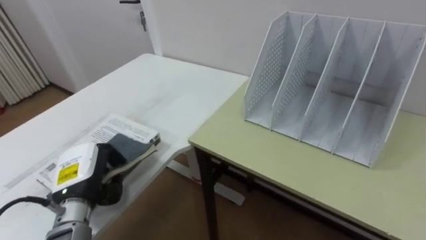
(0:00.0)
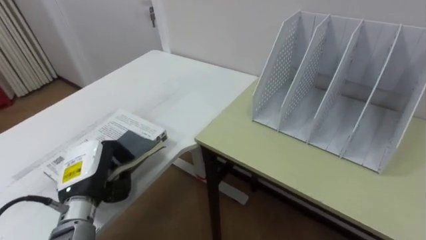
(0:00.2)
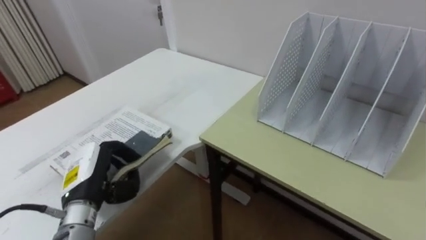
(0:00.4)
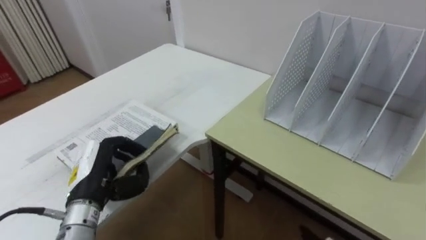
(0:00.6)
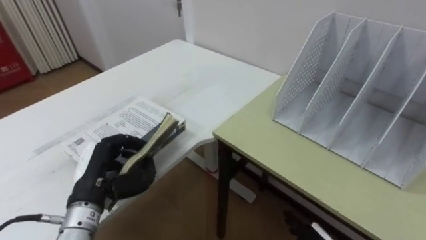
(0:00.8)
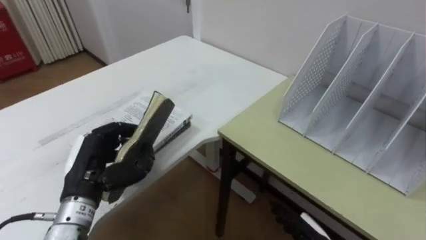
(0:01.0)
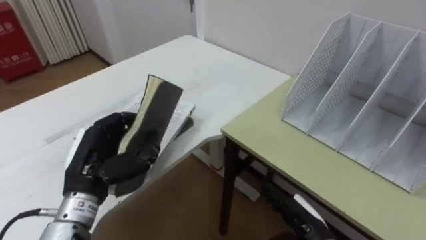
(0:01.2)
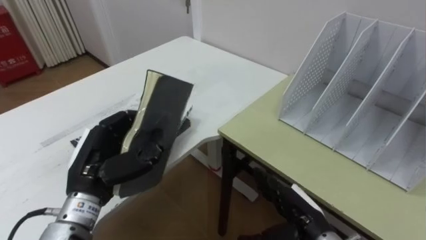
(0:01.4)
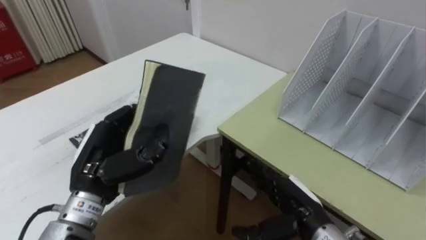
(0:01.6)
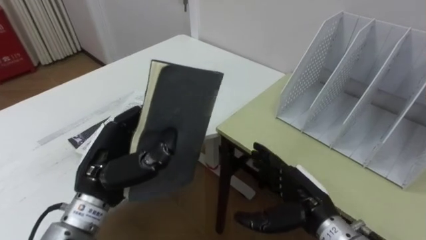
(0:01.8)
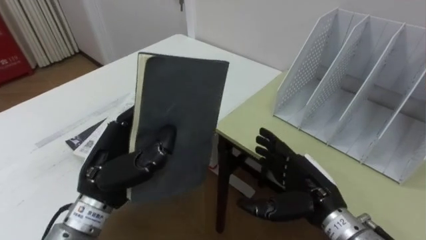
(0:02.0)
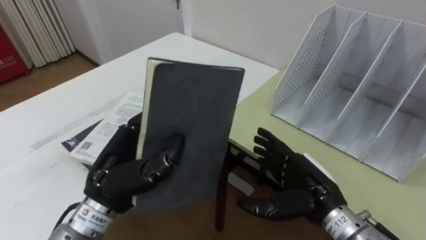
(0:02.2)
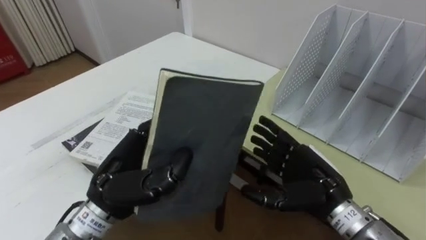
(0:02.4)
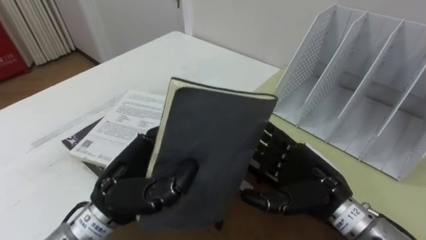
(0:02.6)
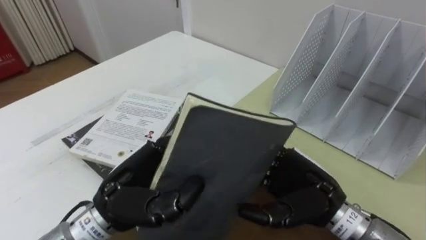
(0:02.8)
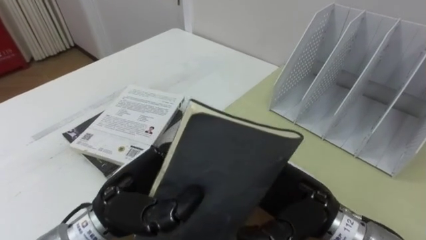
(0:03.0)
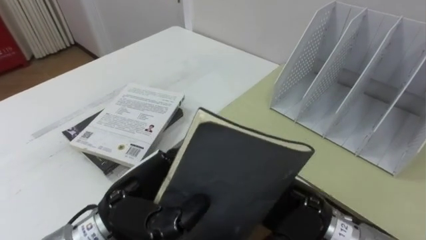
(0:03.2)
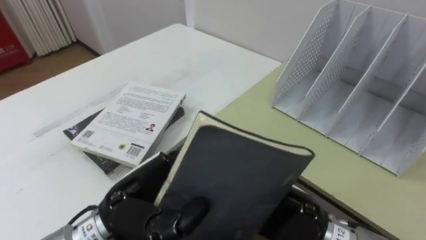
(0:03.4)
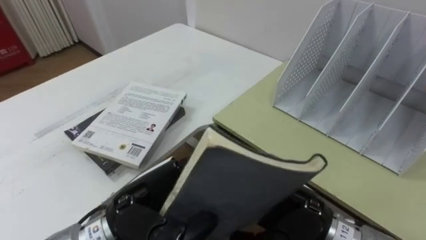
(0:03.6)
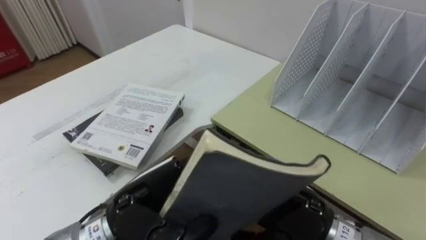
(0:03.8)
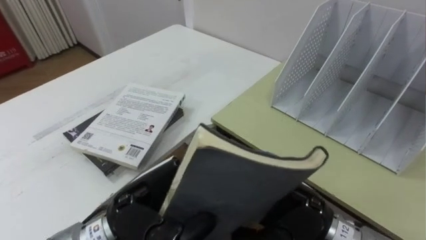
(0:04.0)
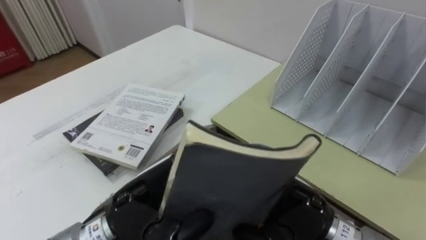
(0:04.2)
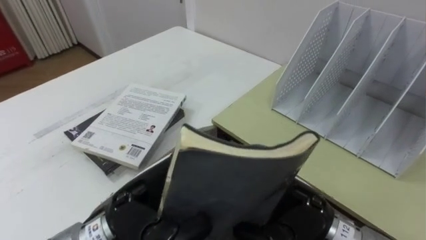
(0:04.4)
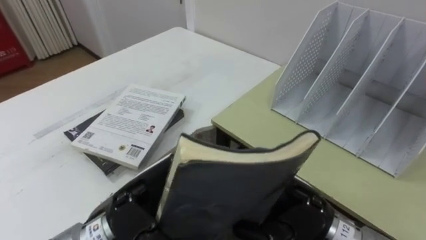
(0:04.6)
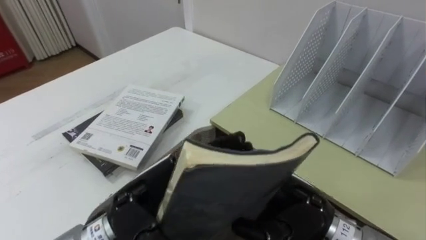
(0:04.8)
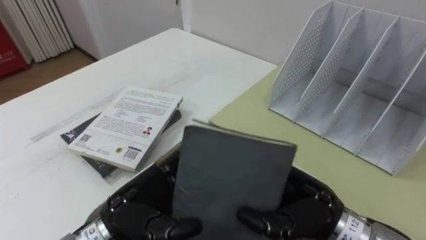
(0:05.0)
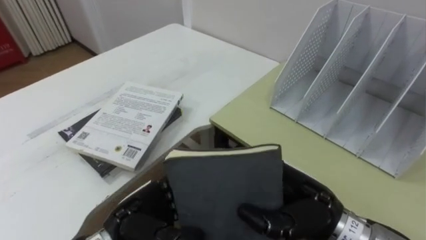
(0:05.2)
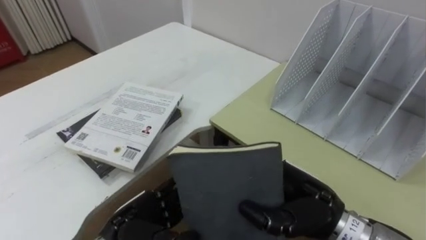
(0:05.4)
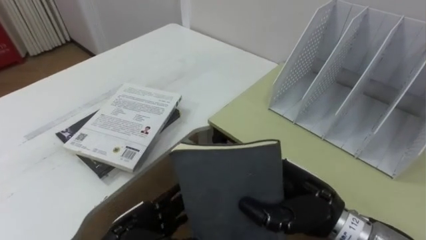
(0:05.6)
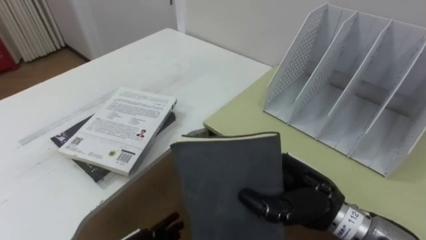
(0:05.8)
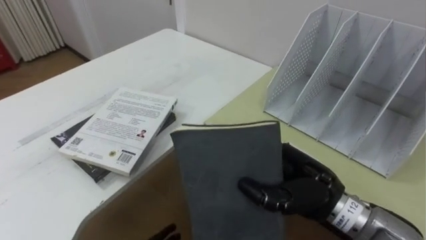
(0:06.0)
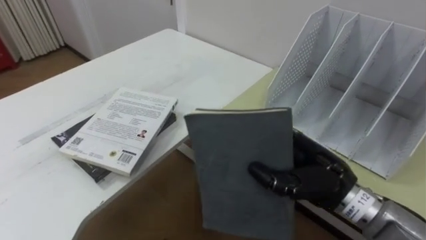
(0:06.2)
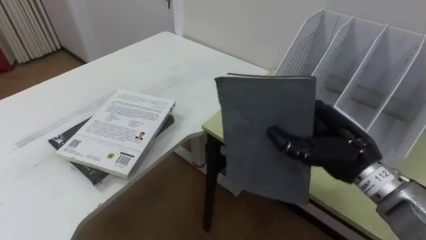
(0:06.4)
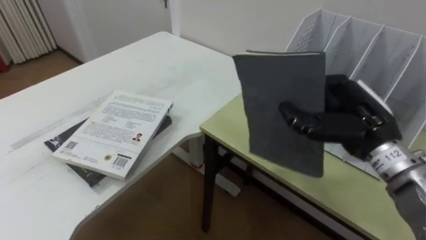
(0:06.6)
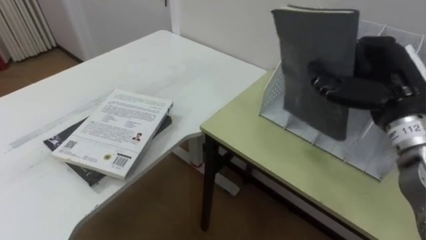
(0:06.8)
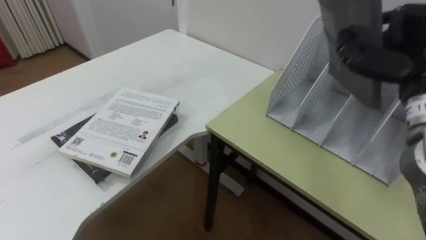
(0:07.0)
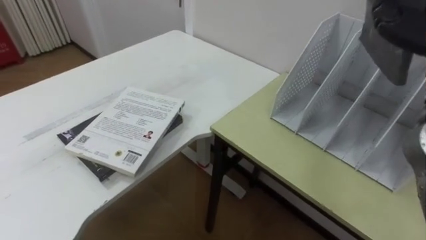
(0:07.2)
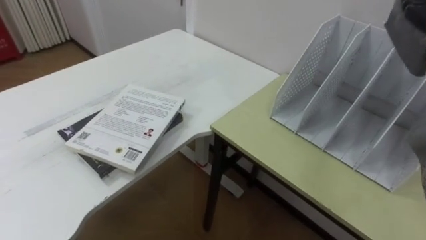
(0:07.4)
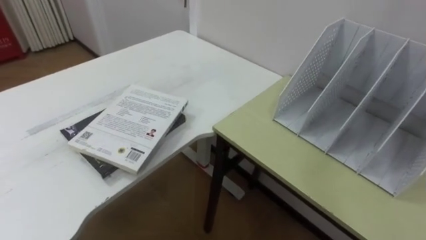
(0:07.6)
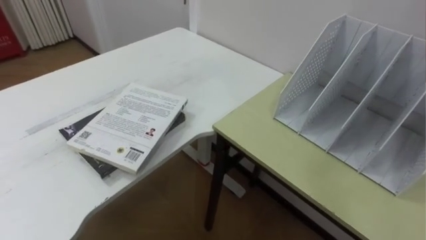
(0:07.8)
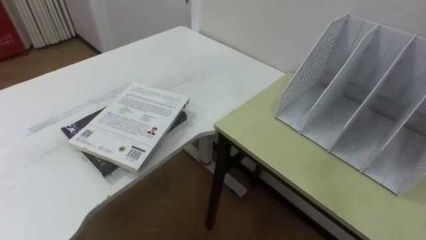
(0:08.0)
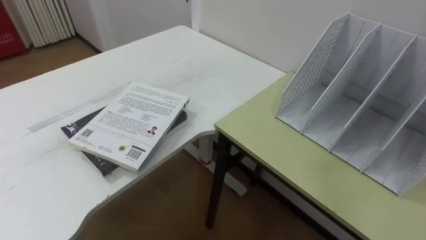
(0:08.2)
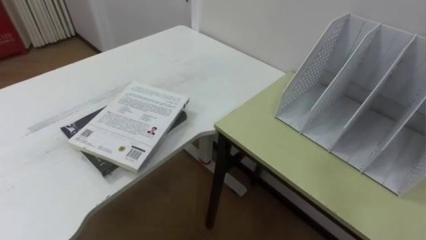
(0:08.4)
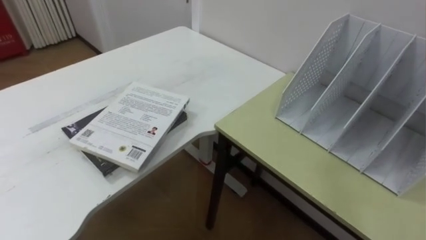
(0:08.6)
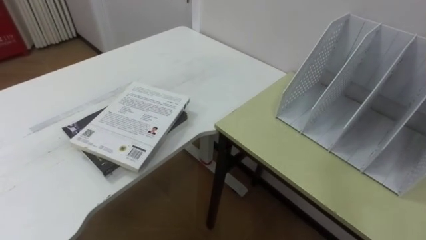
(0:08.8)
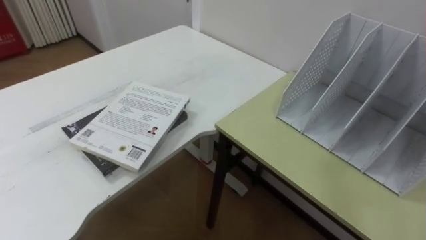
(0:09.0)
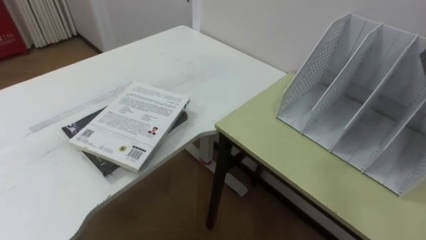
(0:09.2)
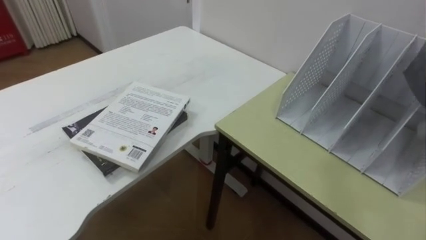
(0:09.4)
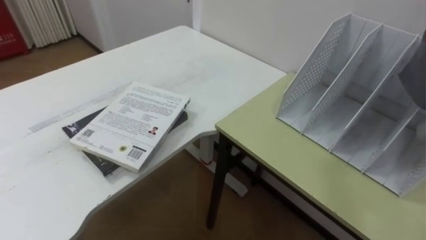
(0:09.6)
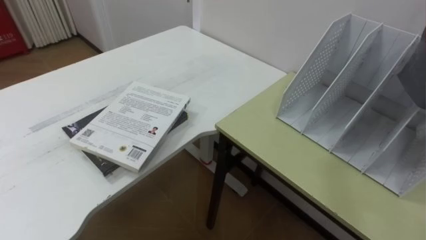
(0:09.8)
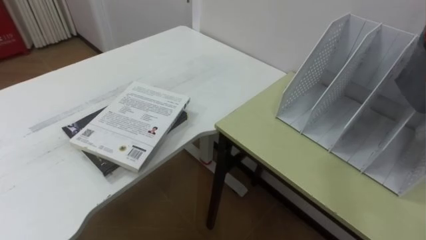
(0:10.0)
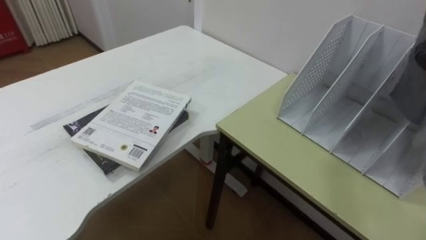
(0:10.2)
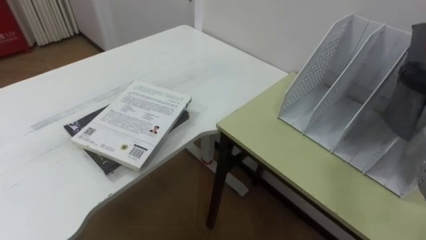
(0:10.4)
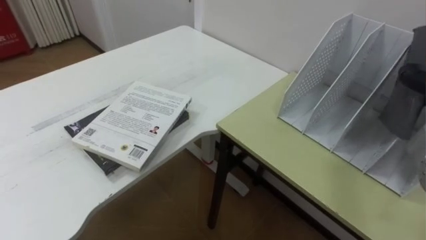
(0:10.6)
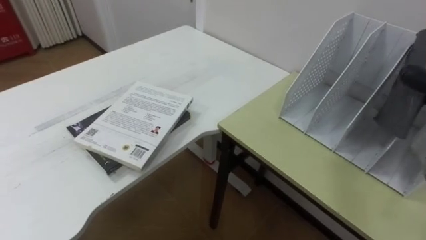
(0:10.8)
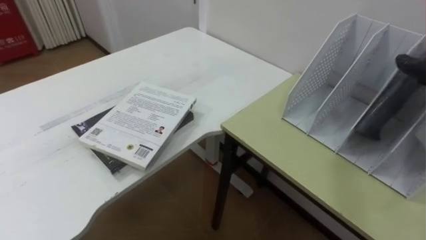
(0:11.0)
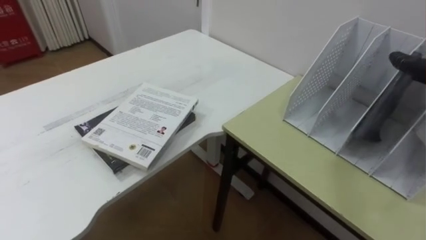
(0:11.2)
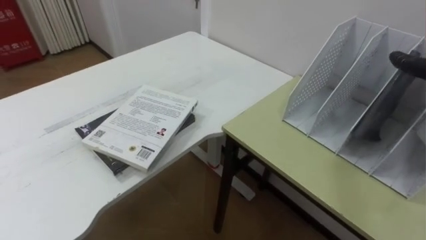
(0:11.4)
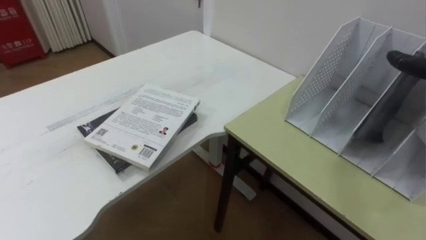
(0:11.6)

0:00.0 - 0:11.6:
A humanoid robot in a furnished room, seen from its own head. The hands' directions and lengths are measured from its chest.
Task of the whole recording: Put the books on the table onto the bookshelf.
0:00.0 - 0:01.4: The left hand shifts about 5 cm upward.
0:01.4 - 0:02.8: The left hand travels to the right by approximately 10 cm. Meanwhile the right hand heads upward, covering about 10 cm.
0:02.8 - 0:04.4: The right hand closes its fingers.

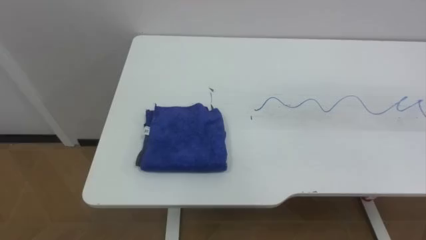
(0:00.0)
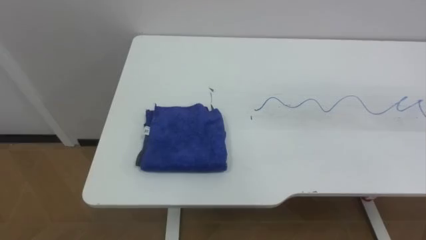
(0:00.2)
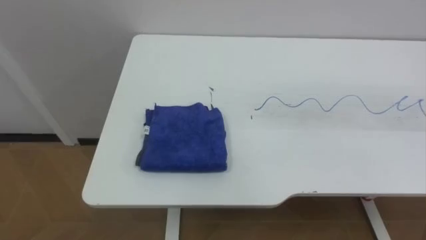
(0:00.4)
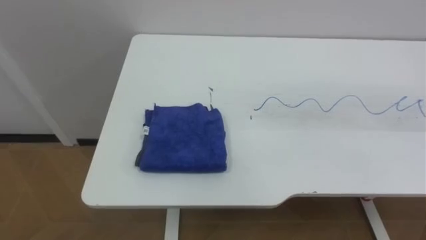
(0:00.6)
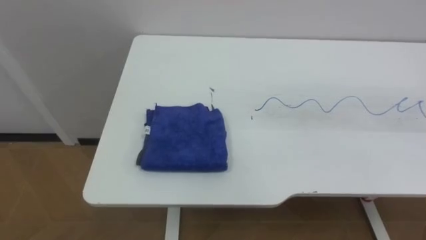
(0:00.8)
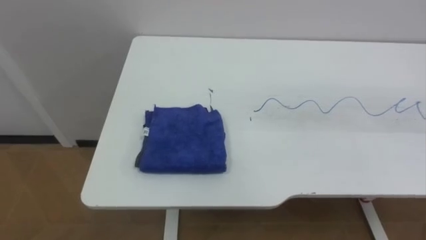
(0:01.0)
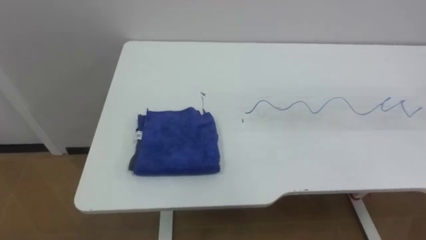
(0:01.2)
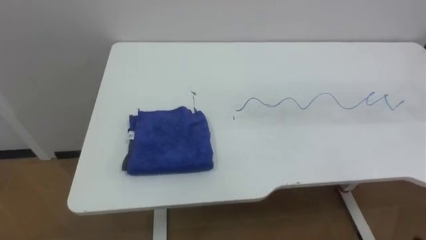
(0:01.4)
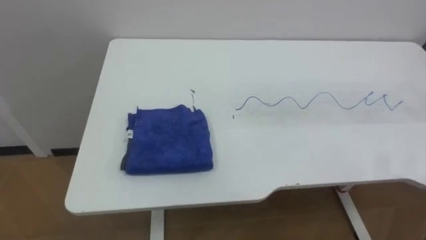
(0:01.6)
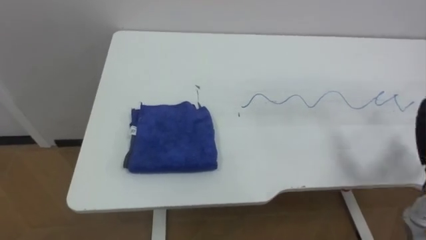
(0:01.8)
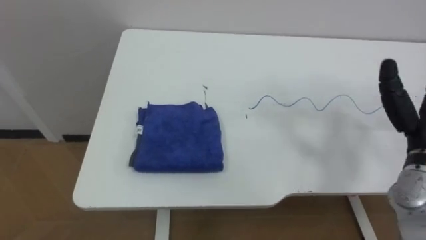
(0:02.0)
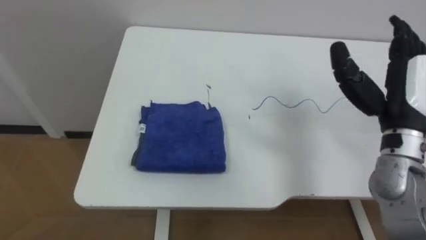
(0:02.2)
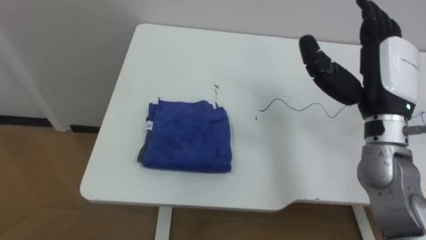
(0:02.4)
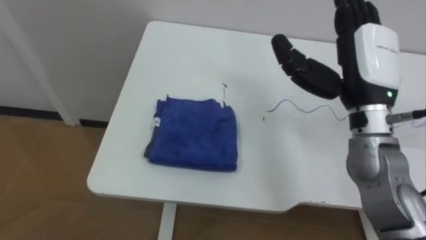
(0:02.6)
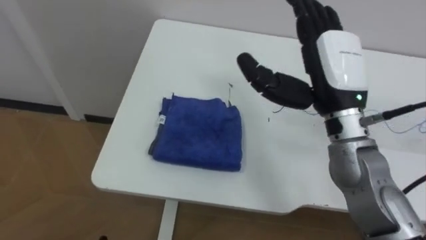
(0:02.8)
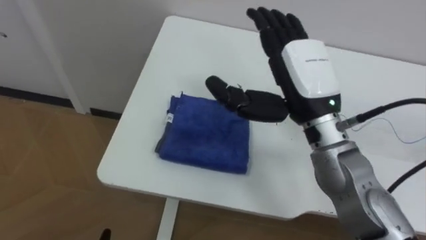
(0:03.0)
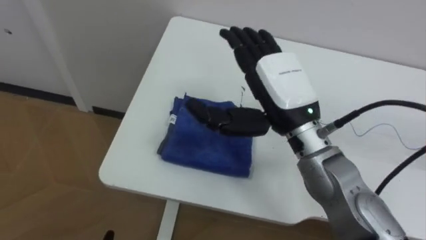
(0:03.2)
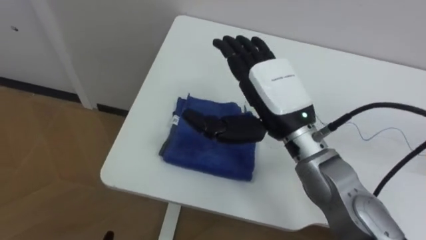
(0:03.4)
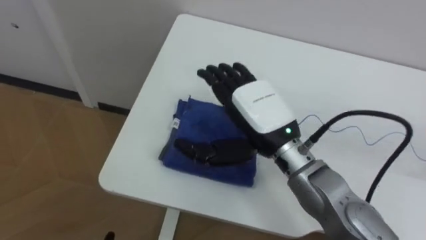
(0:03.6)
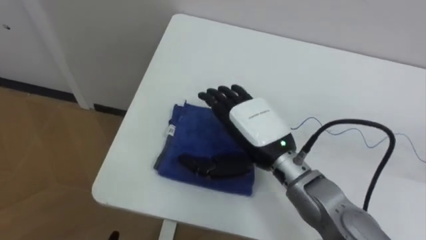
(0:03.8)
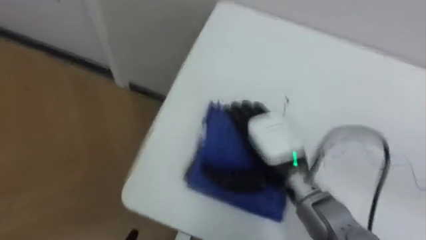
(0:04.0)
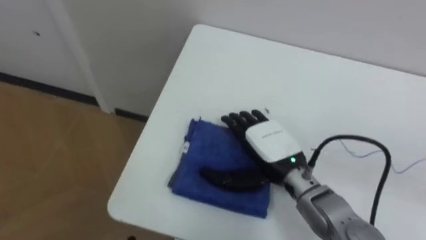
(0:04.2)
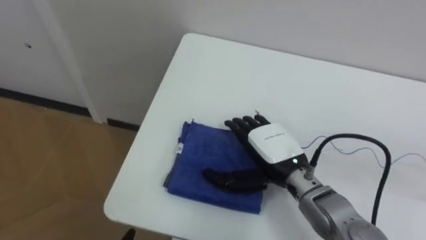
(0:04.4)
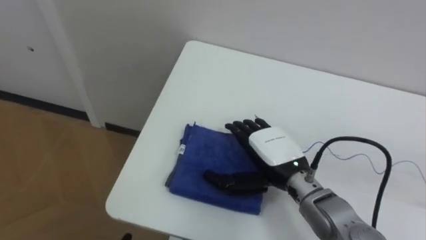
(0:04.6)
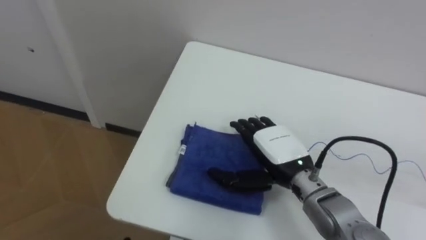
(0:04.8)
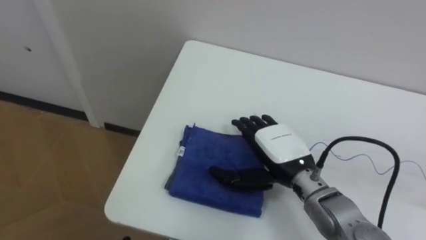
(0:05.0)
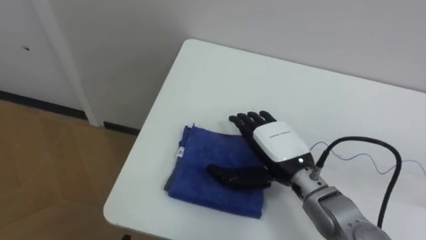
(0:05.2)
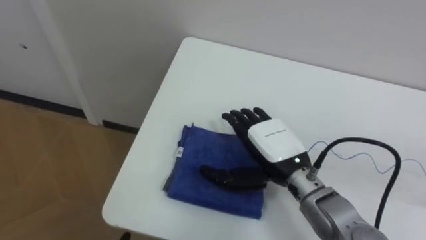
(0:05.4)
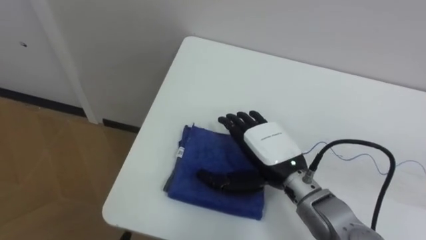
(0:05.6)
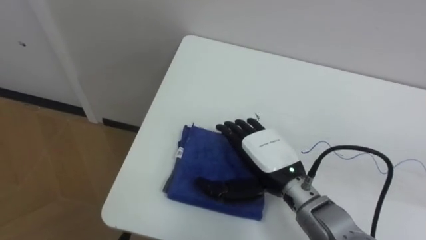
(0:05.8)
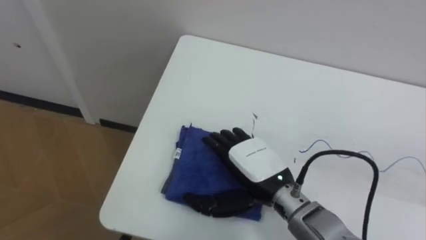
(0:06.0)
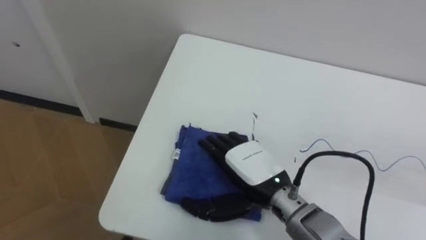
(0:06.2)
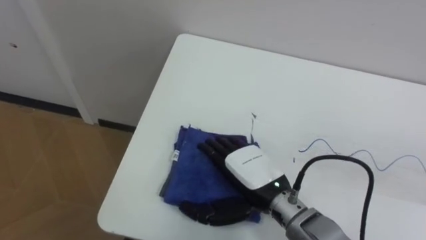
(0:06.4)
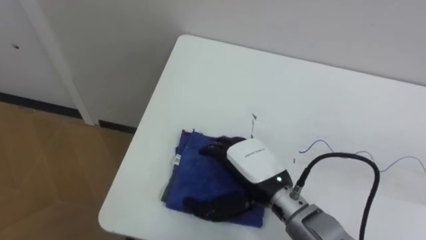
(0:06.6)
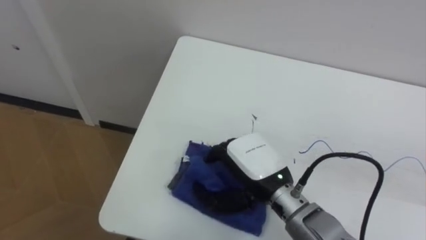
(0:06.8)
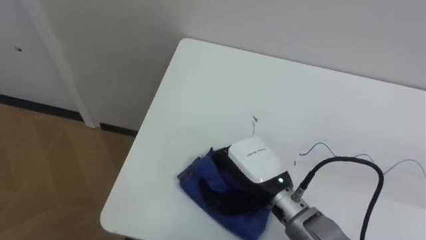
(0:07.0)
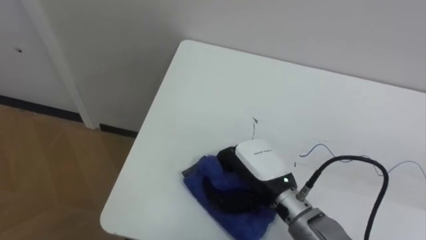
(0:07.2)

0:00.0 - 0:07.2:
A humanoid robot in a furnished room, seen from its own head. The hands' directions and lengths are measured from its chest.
Task of the whole recording: Wipe the blue pen marks off the table with the rag.
0:02.8 - 0:04.4: The right hand shifts roughly 15 cm downward and to the left.
0:05.8 - 0:07.2: The right hand closes.
